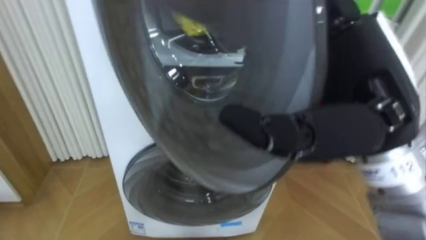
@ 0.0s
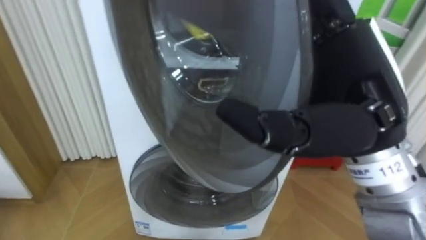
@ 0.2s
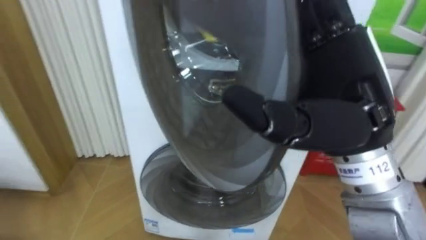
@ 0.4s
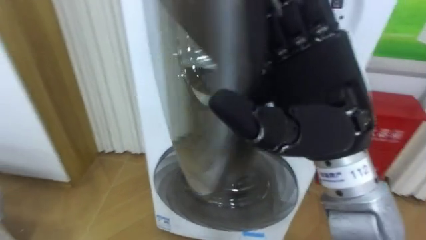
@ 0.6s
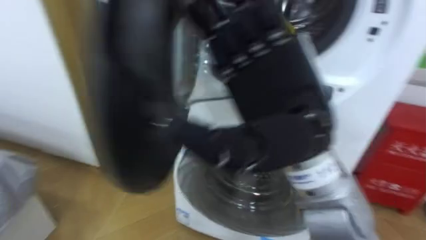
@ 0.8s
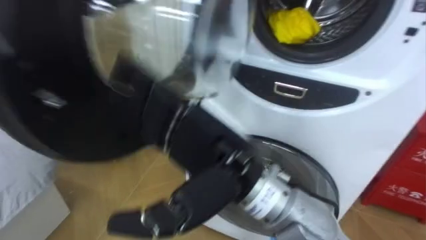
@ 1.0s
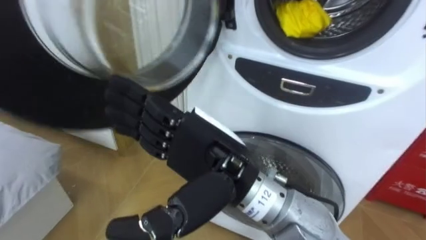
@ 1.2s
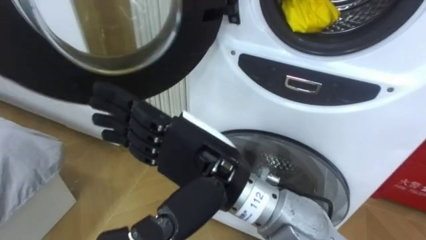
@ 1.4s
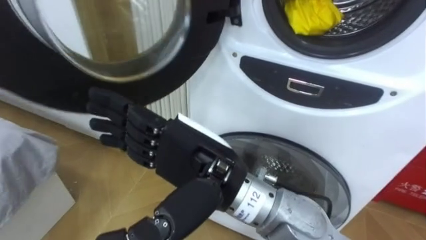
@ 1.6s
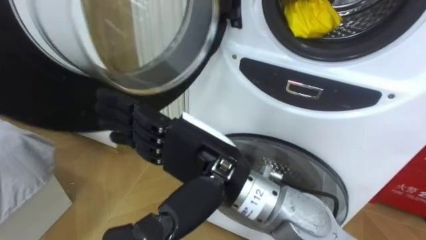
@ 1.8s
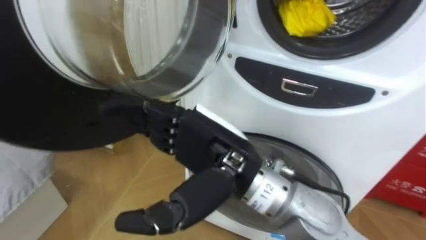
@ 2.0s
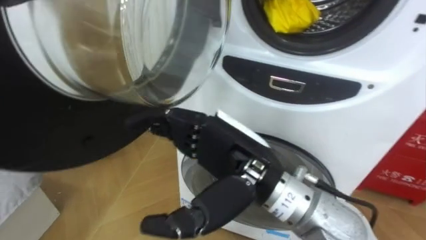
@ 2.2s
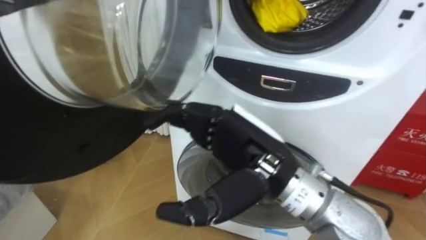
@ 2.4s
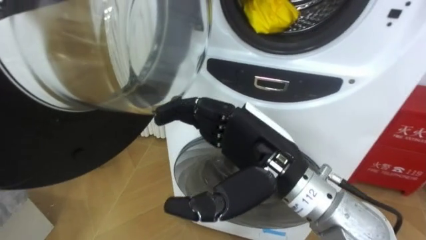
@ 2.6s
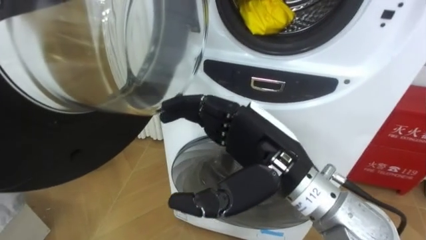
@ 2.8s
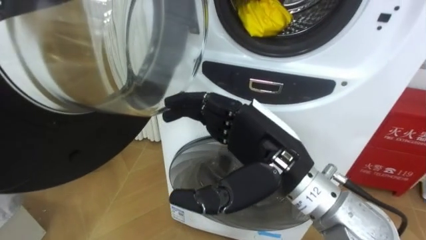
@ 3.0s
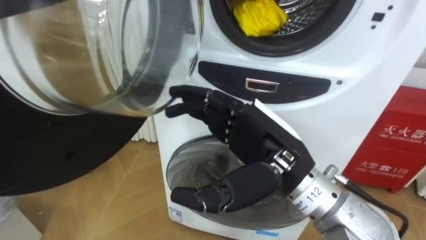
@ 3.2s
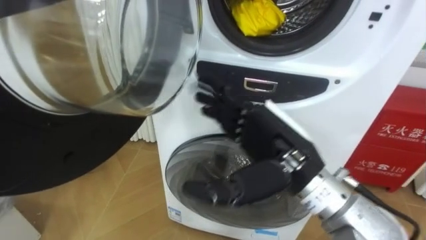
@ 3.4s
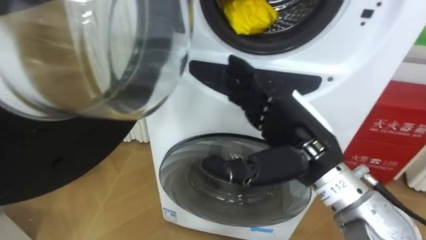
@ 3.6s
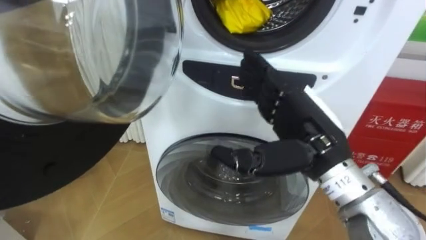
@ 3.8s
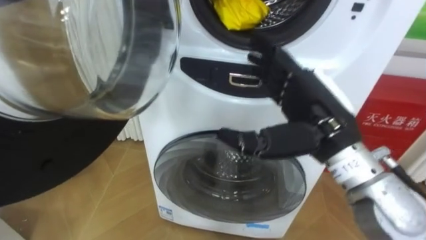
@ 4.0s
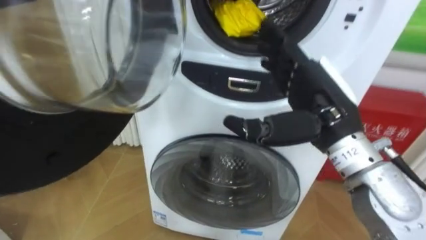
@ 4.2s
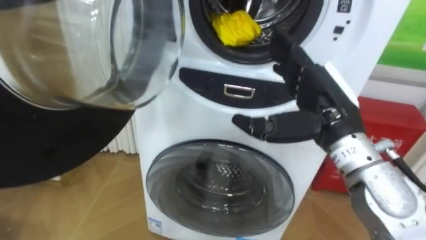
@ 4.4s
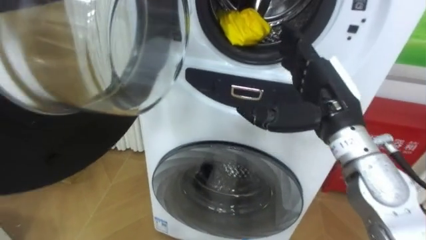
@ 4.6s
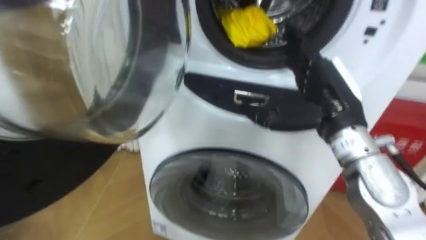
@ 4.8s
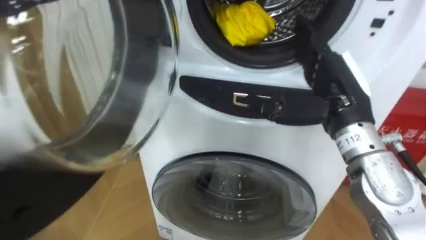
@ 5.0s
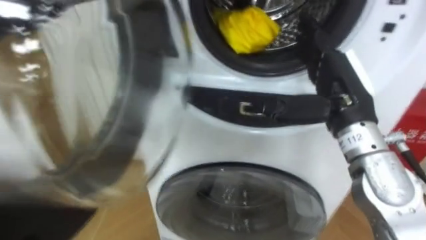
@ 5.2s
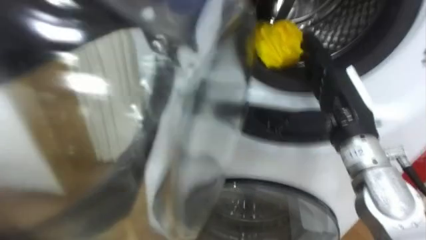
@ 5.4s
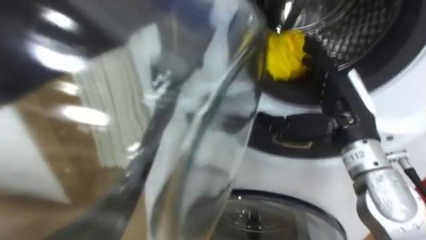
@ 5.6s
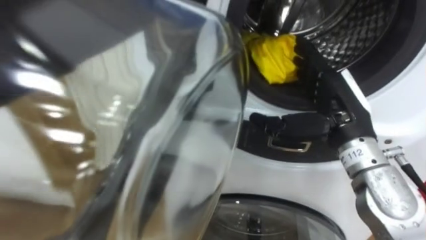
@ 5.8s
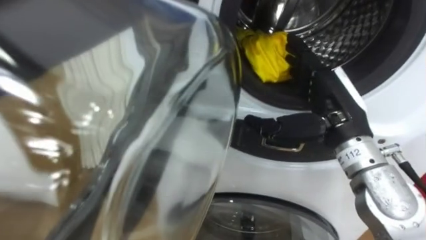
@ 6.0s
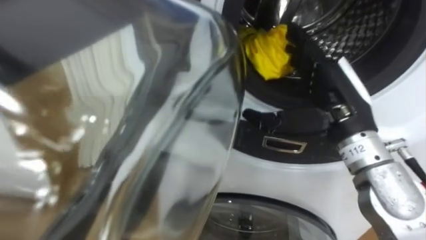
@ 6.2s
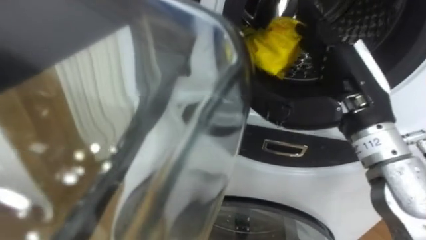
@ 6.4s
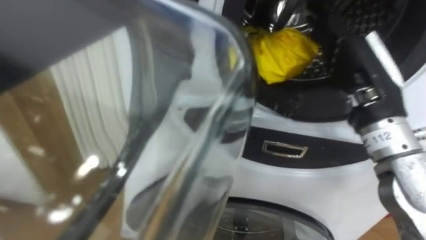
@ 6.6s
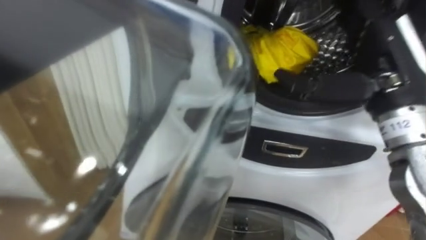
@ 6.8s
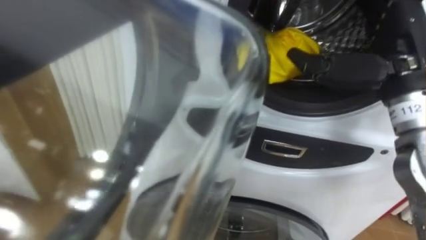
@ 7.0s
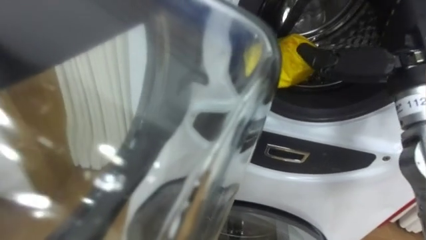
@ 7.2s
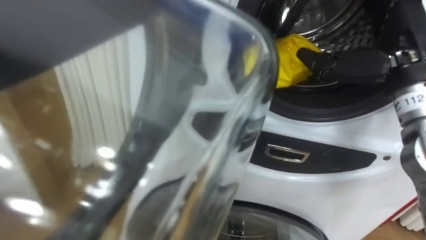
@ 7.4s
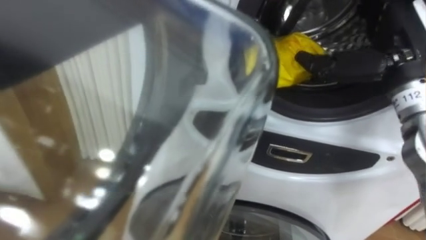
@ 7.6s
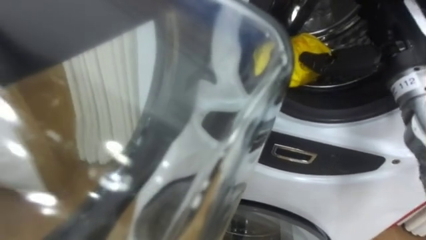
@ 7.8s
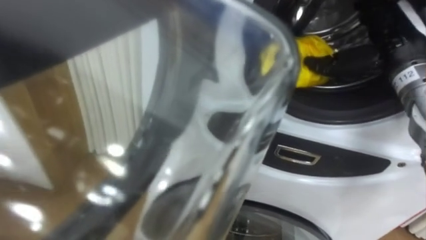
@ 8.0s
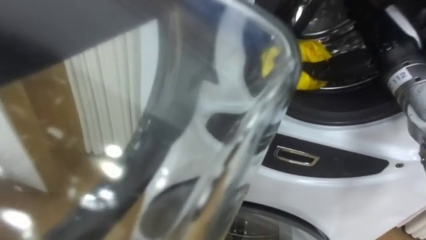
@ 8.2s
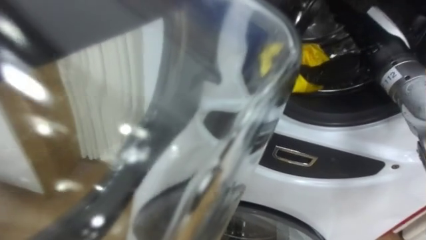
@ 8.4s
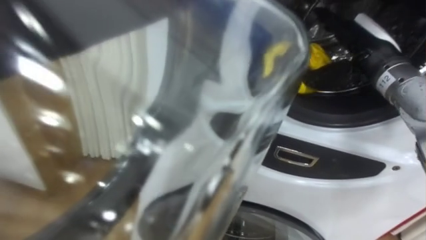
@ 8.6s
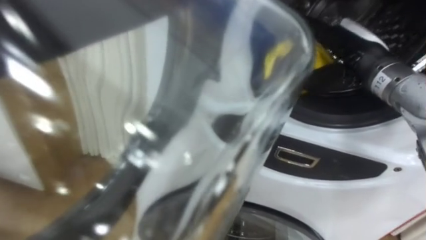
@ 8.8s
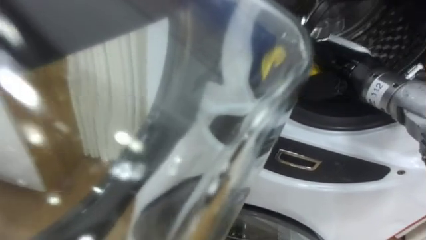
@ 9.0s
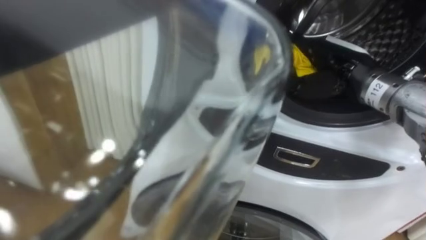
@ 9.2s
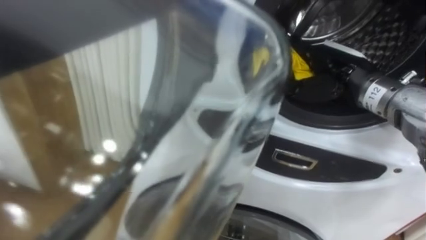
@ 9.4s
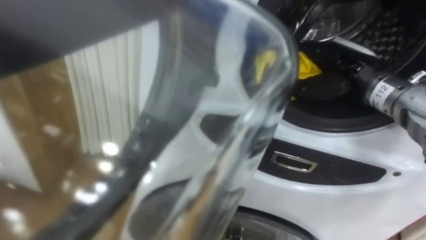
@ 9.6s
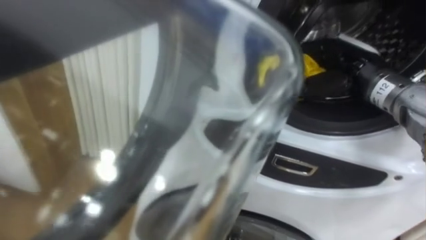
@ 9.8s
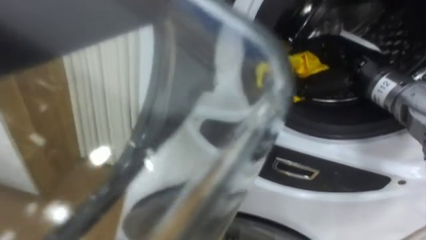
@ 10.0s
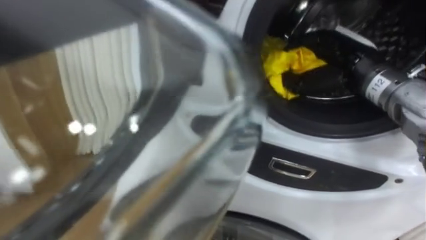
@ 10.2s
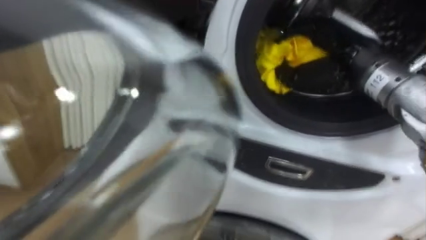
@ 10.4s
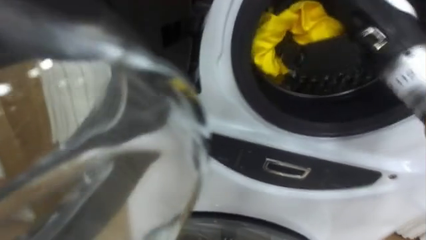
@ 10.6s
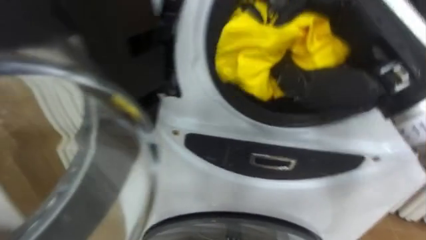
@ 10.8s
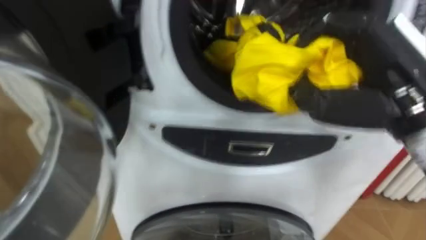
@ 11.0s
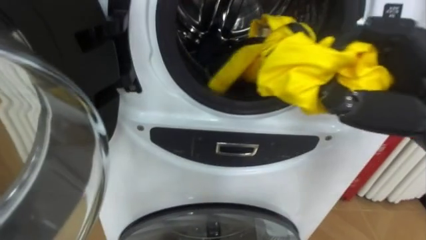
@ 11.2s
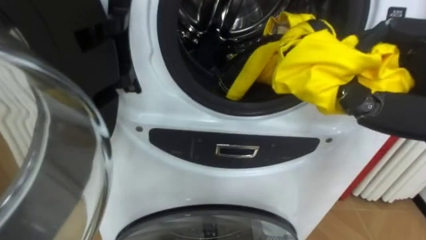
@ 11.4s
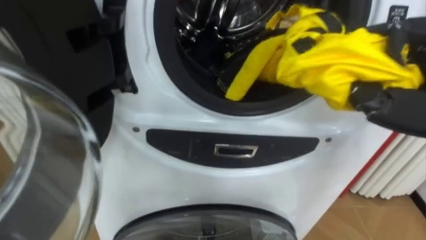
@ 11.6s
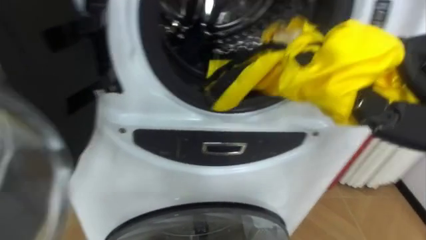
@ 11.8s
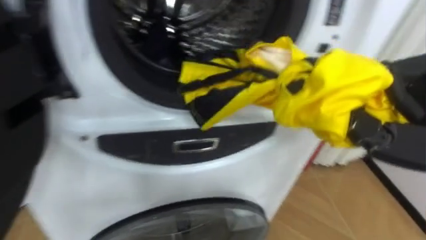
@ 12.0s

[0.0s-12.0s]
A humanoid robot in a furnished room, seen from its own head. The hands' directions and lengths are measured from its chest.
Task of the whole recording: Open the washing machine door, take out the yellow clothes, place them in the box on the right, and close the washing machine door.
0.0s to 1.6s: The right hand shifts roughly 20 cm to the left and downward.
1.6s to 3.0s: The right hand moves to the right, some 10 cm.
3.0s to 4.4s: The right hand shifts roughly 10 cm to the right and forward.
6.0s to 7.6s: The right hand moves upward and to the right, some 10 cm.
7.6s to 9.0s: The right hand heads downward, covering about 5 cm.
9.0s to 10.4s: The right hand closes up.

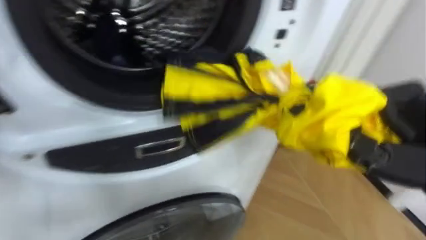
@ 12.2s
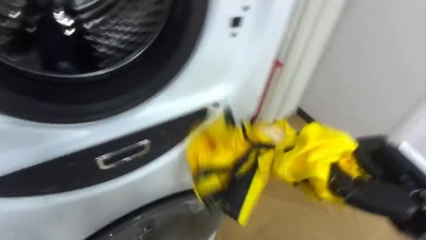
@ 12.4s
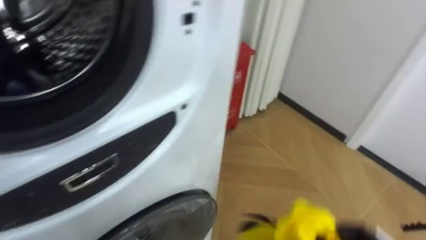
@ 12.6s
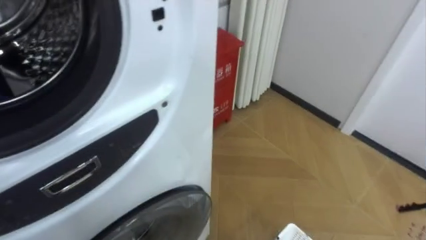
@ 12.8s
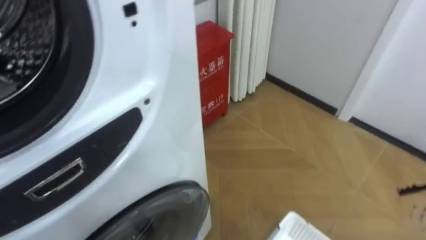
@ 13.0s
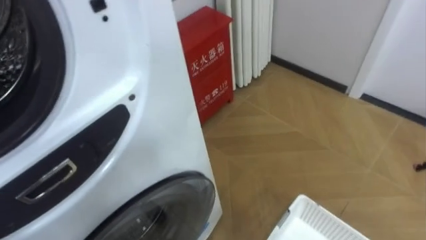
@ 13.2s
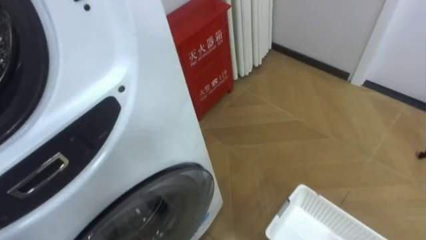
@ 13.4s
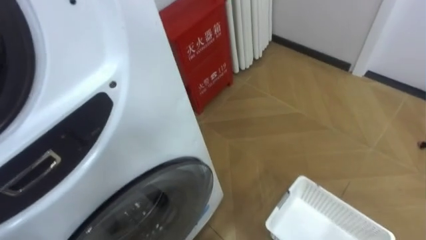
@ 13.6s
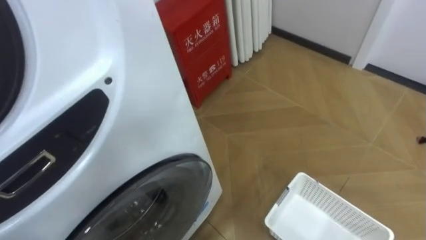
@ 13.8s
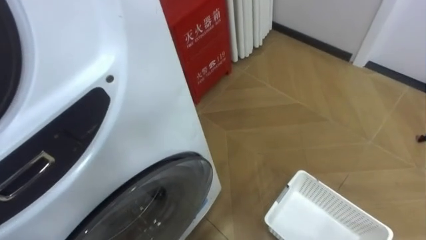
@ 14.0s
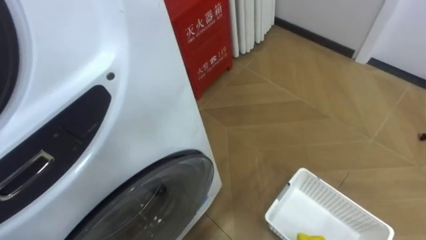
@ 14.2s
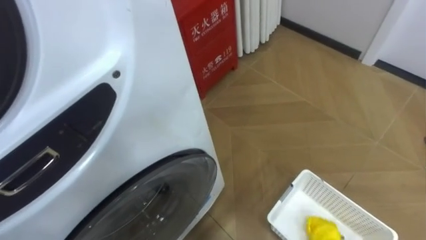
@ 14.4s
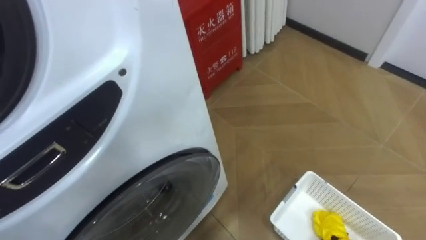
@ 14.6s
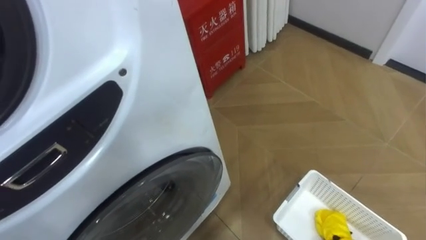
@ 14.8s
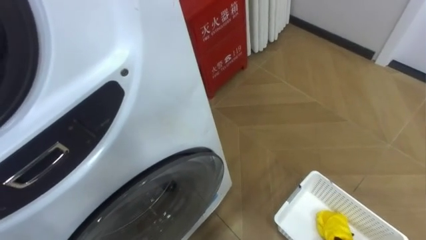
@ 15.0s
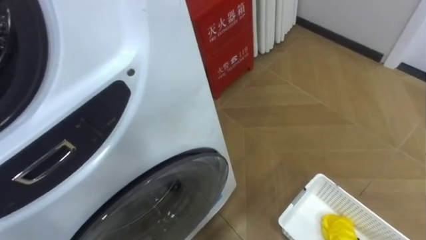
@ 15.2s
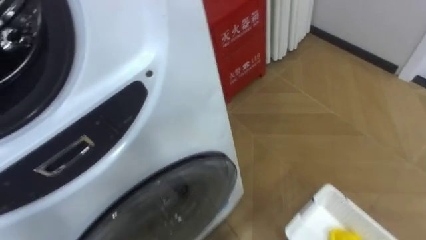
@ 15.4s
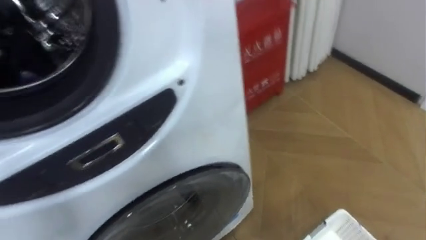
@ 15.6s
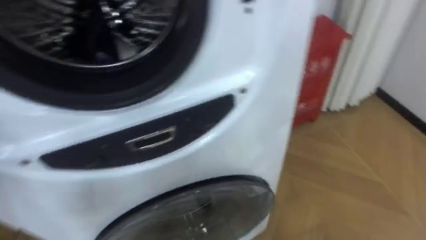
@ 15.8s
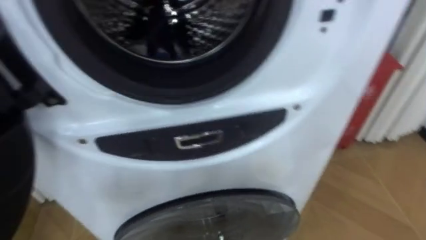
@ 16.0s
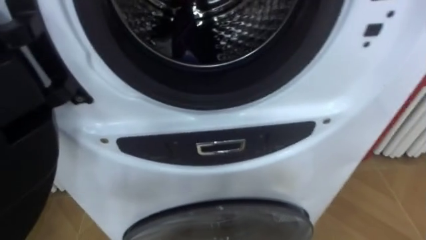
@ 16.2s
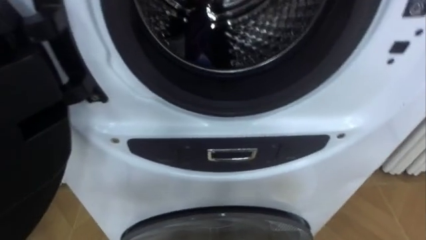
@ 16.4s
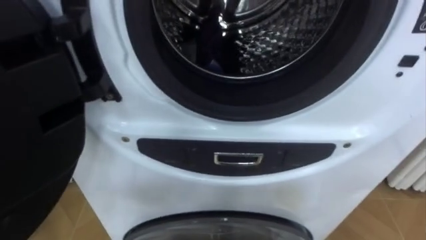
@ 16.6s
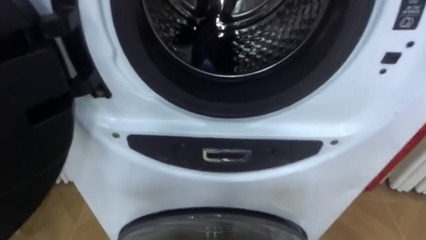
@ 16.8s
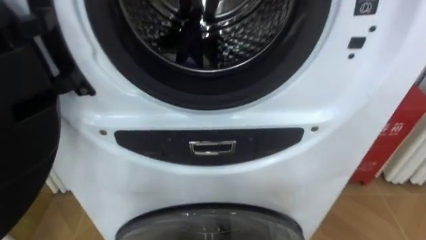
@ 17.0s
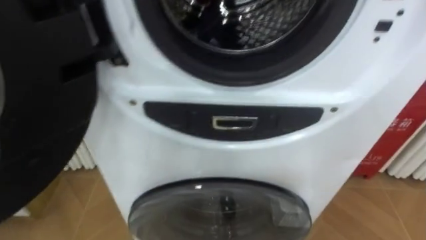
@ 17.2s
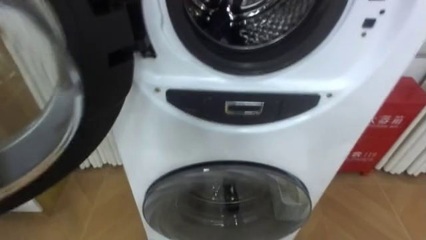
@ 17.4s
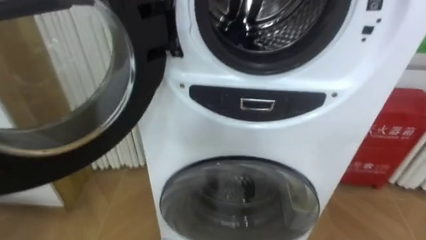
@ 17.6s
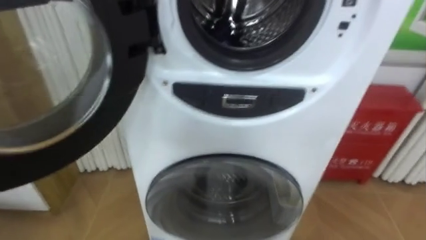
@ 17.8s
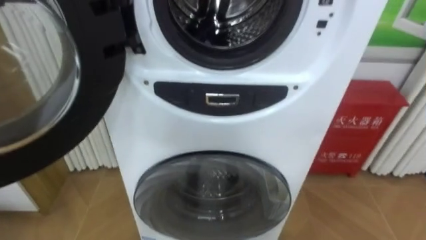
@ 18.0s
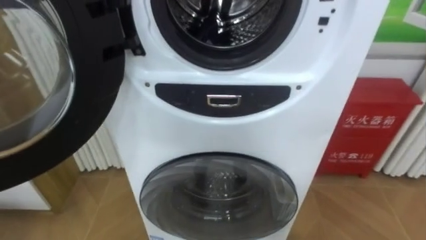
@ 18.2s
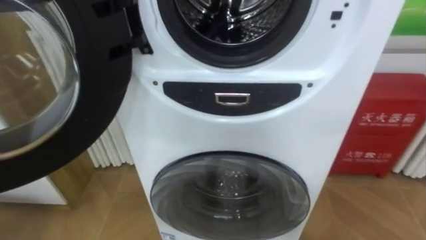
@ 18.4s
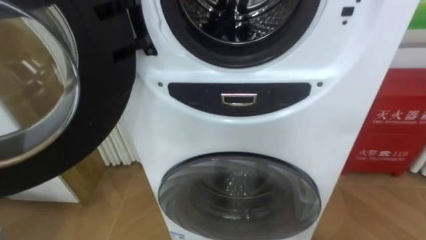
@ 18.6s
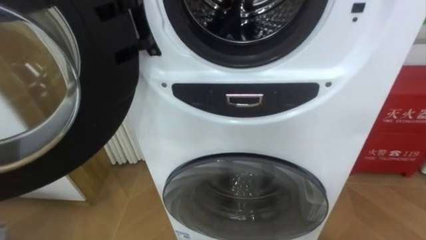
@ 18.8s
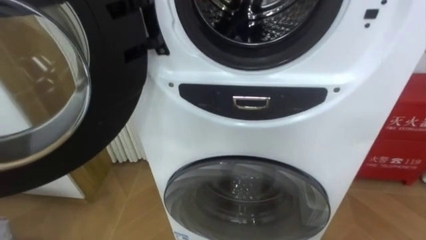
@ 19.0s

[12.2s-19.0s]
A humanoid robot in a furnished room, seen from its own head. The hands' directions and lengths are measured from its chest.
Task of the whole recording: Open the washing machine door, take out the yellow clothes, place them in the box on the right, and close the washing machine door.
12.2s to 13.6s: The robot turns to its right by some 15 degrees.
15.0s to 16.2s: The robot rotates roughly 25 degrees to its left.
